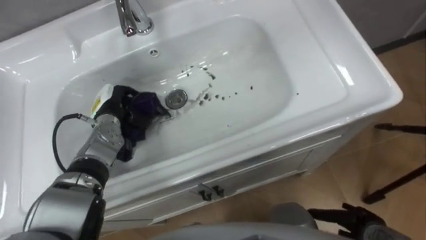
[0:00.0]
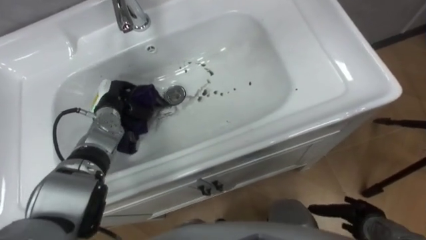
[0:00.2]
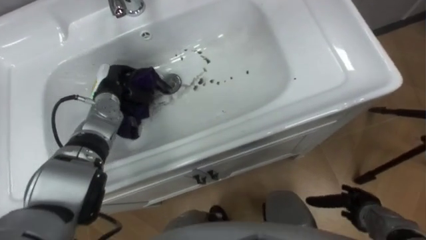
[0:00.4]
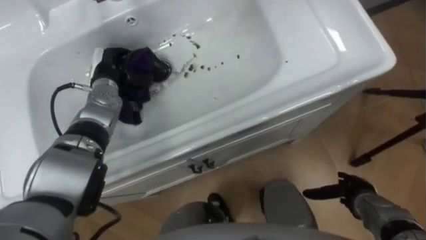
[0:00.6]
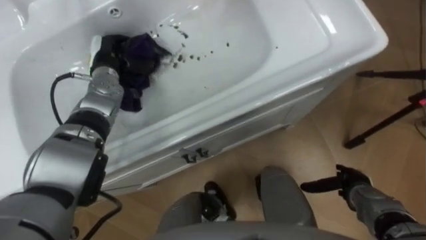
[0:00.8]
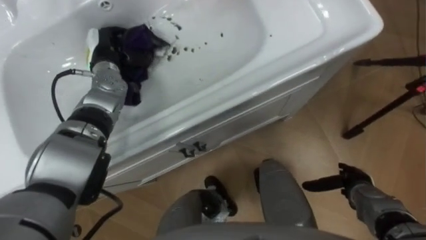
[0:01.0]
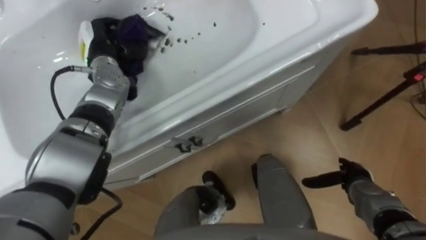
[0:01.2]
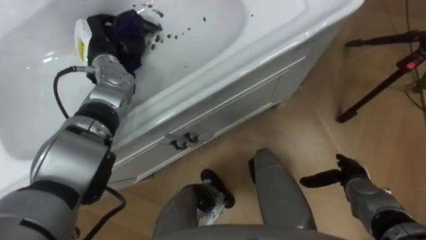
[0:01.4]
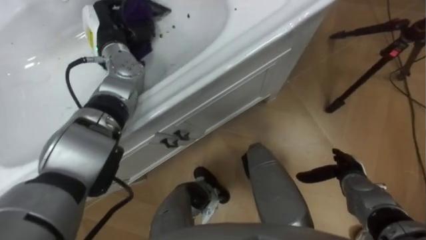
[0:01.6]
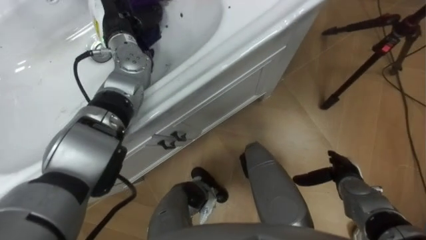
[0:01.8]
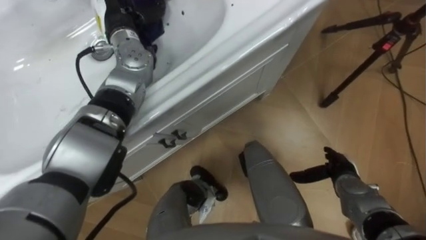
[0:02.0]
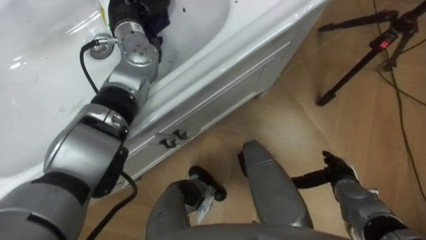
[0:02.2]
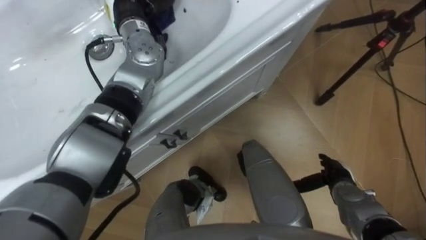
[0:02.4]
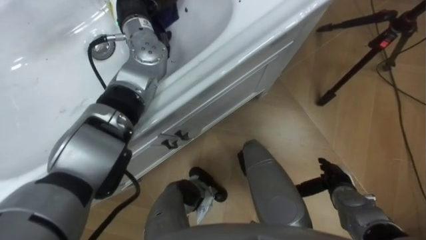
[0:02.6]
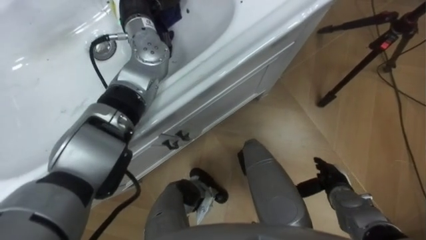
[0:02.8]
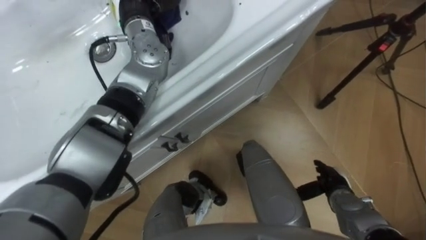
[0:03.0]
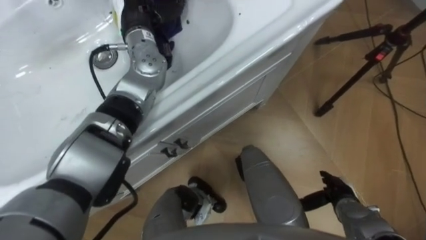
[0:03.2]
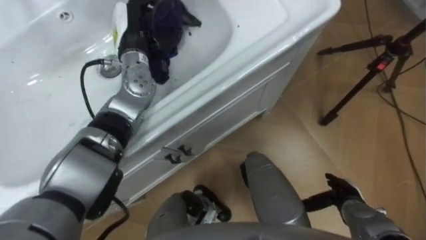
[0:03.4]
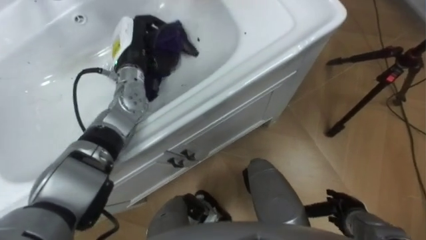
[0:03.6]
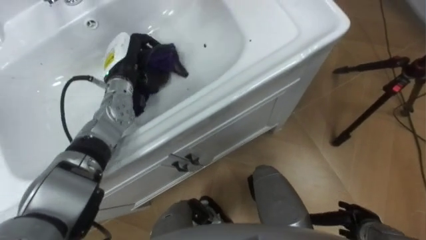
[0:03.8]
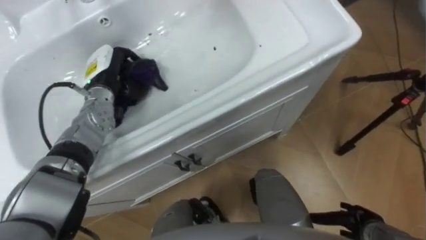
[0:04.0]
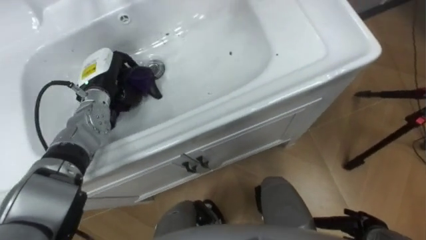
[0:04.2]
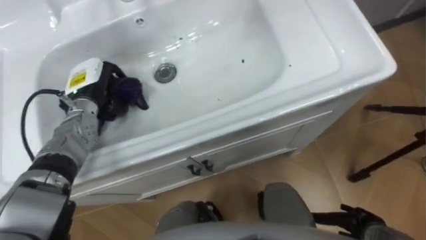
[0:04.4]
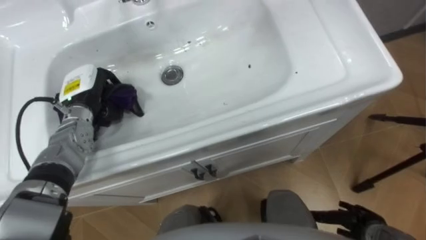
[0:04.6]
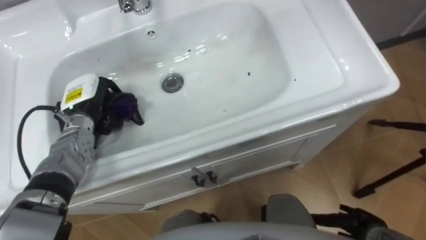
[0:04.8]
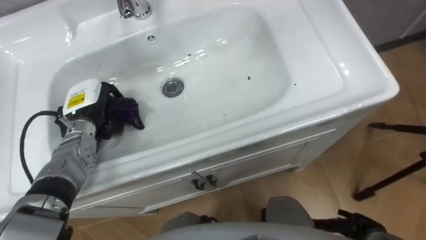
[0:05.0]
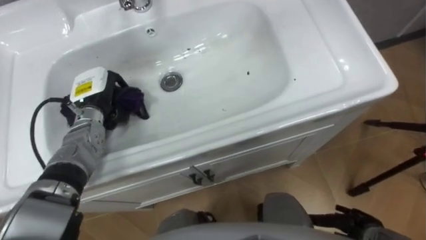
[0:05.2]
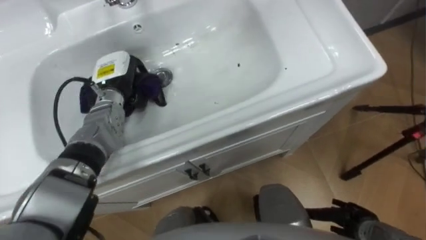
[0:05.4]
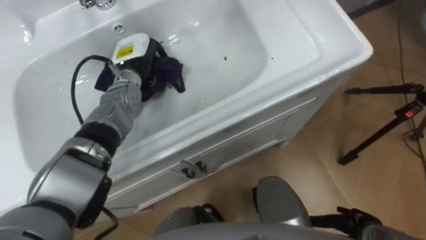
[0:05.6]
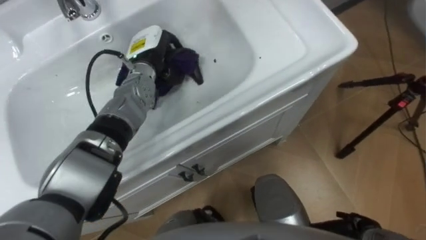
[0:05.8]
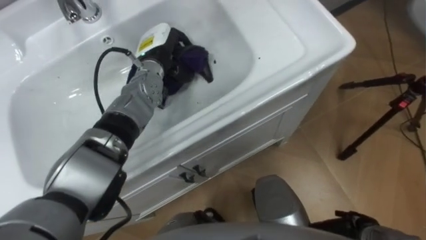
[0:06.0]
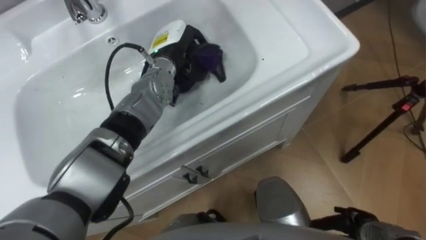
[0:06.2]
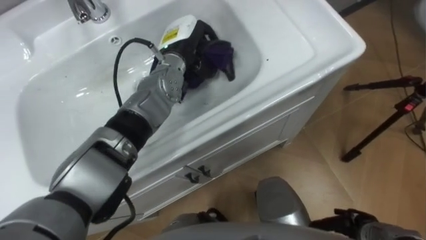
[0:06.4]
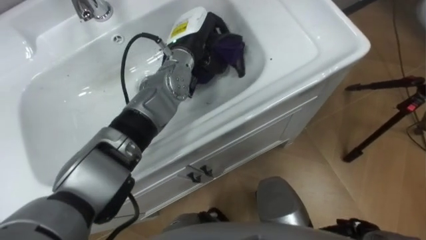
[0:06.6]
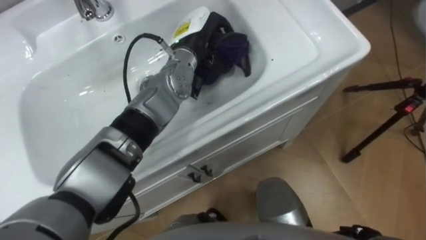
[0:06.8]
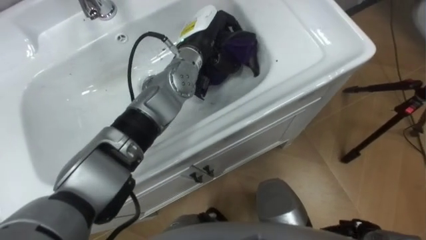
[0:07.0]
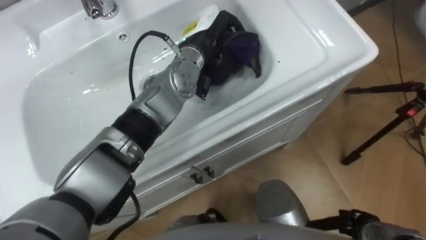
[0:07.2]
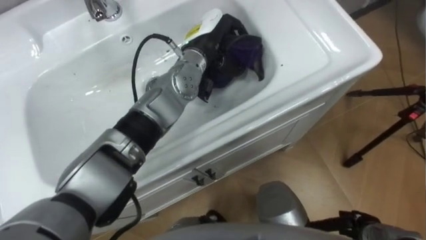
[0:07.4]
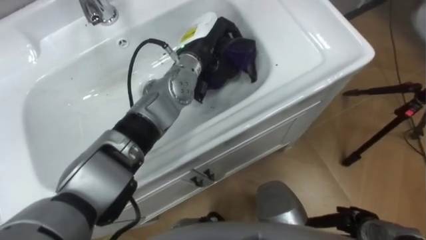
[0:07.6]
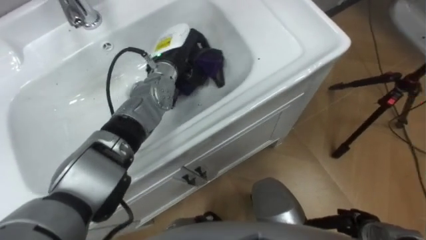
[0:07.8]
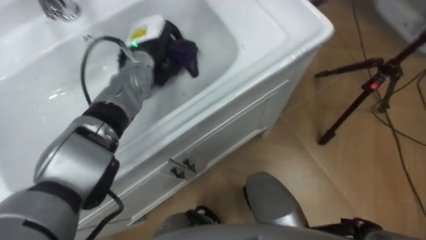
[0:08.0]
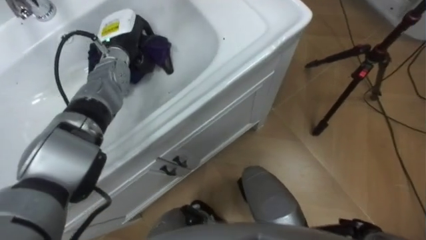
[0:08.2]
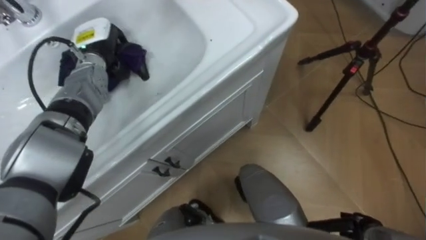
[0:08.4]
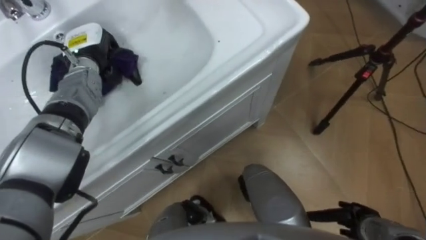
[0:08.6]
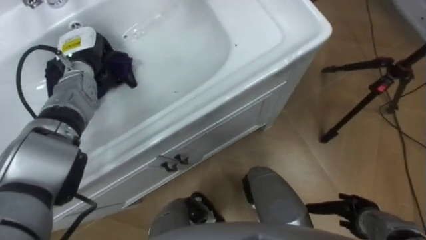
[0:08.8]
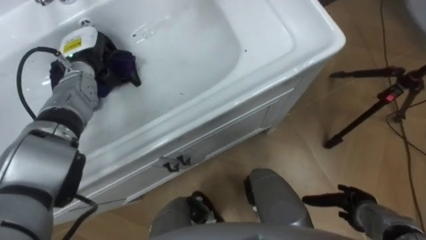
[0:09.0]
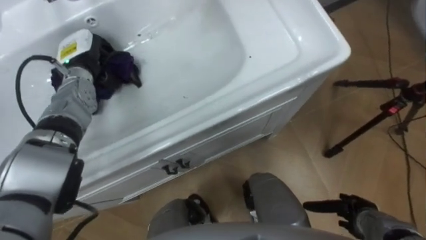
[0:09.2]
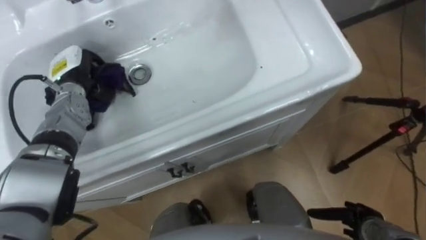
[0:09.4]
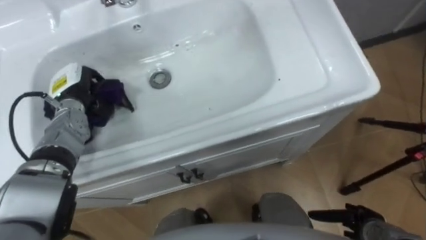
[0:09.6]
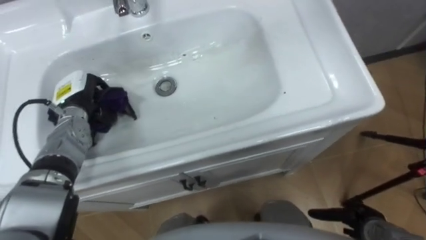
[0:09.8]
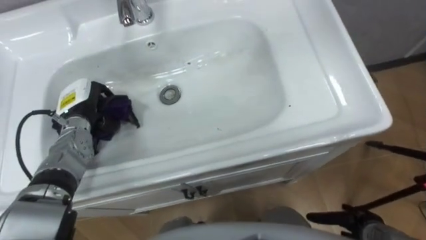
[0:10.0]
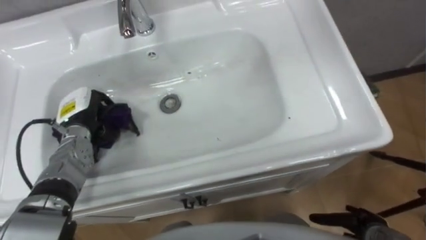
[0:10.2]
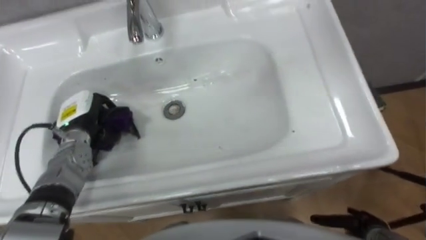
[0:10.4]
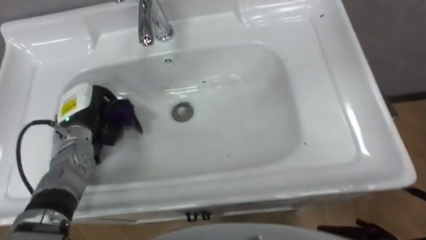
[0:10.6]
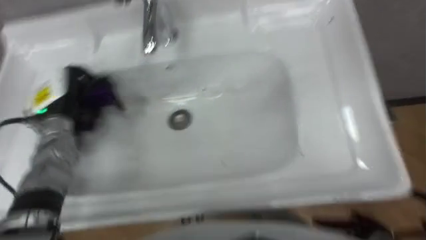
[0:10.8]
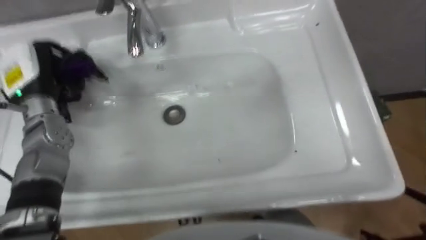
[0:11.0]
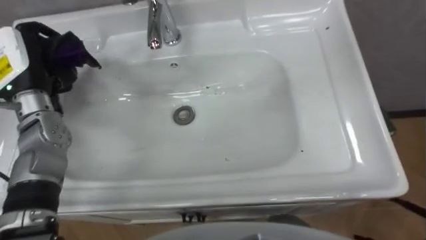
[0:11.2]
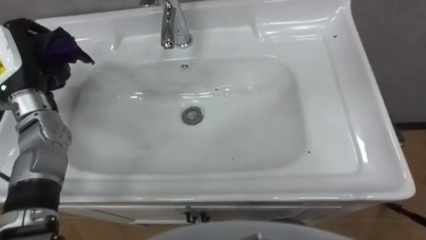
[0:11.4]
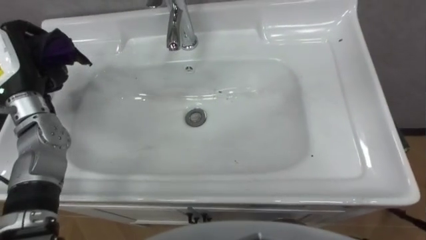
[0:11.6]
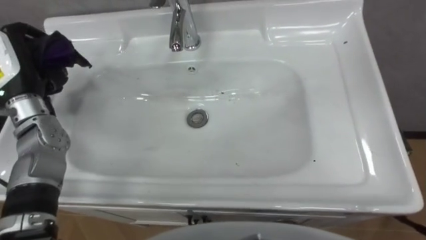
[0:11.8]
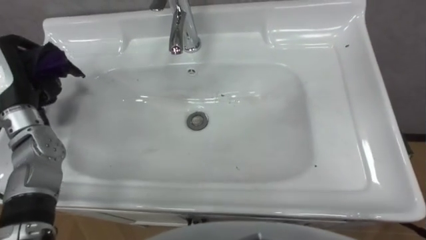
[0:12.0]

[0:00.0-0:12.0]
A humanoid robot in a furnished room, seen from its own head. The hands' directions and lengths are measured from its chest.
Task of the whole recording: Use the cloth on the right to wipe away the black stain in the sink.
0:00.0 to 0:01.6: The right hand heads forward, covering about 10 cm. Meanwhile the left hand goes about 15 cm upward and forward.
0:01.6 to 0:03.0: The left hand moves to the right and upward, roughly 10 cm.
0:03.0 to 0:04.4: The left hand heads downward, to the left and backward, covering approximately 20 cm.
0:04.4 to 0:06.0: The left hand moves to the right, some 15 cm.
0:06.0 to 0:07.6: The left hand moves to the right, approximately 10 cm.
0:07.6 to 0:09.0: The left hand moves to the left, roughly 25 cm.
0:09.0 to 0:10.4: The left hand is displaced backward and downward by about 10 cm.

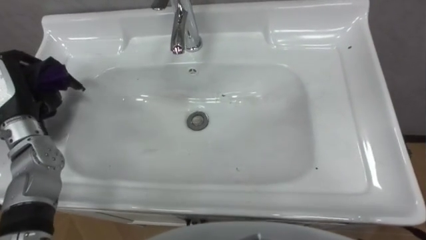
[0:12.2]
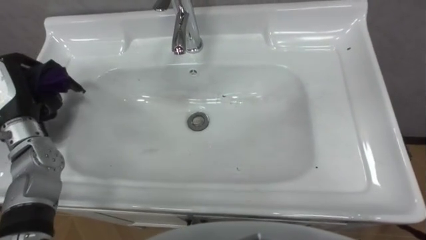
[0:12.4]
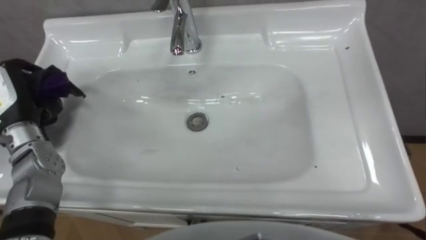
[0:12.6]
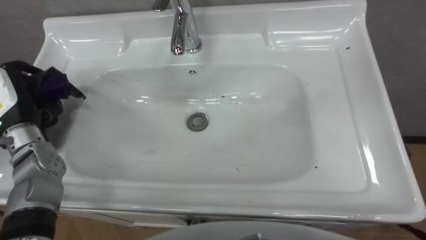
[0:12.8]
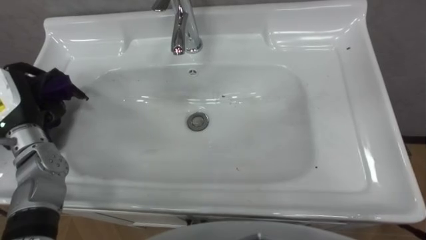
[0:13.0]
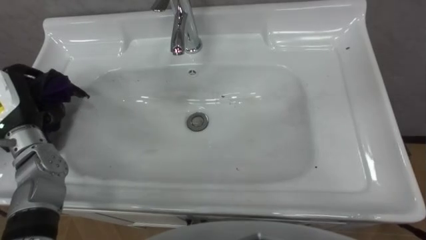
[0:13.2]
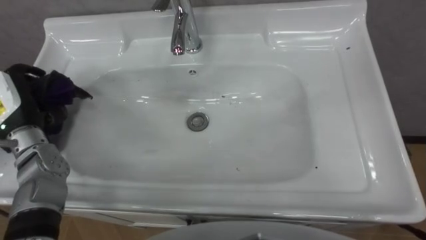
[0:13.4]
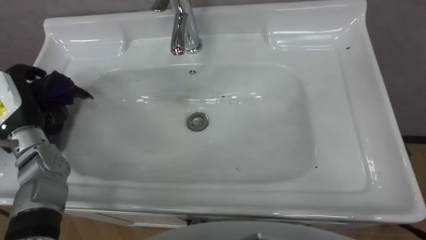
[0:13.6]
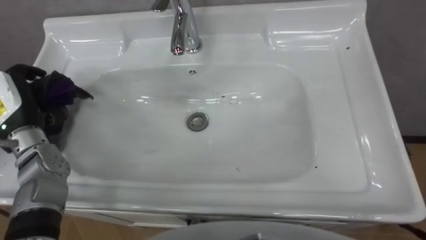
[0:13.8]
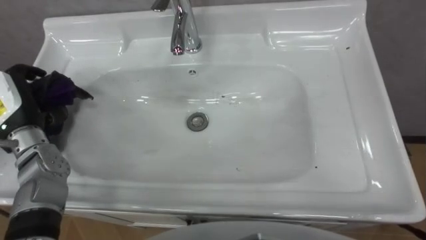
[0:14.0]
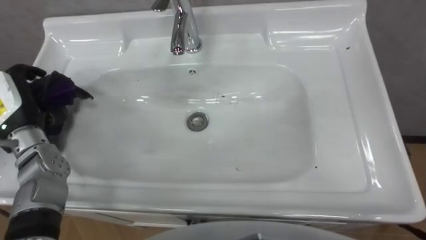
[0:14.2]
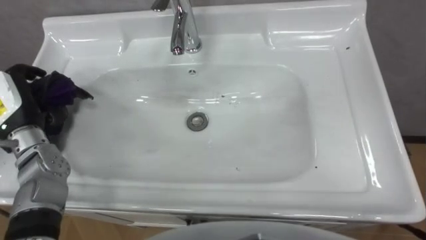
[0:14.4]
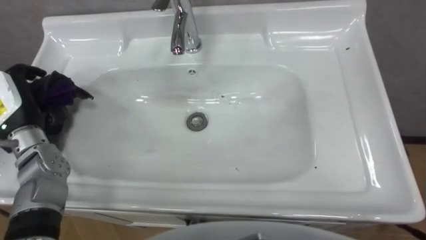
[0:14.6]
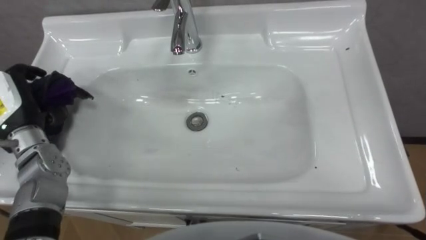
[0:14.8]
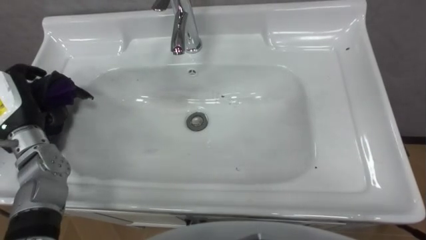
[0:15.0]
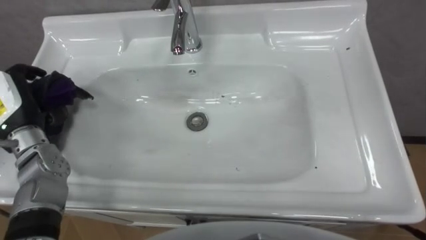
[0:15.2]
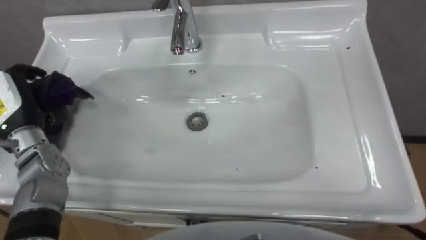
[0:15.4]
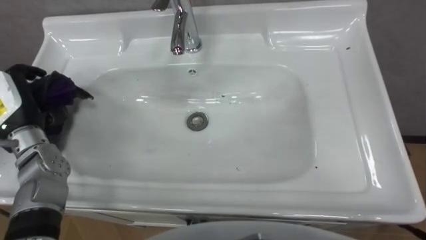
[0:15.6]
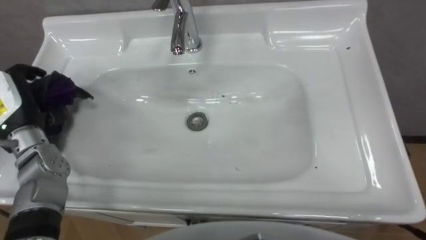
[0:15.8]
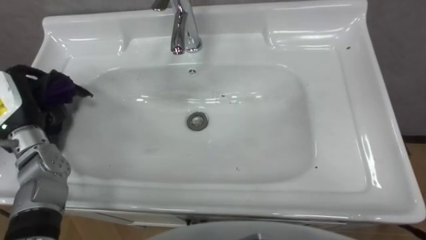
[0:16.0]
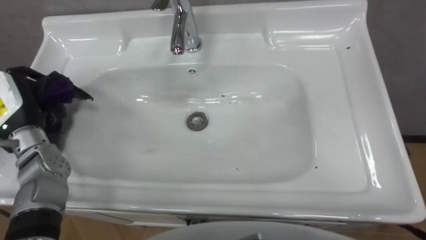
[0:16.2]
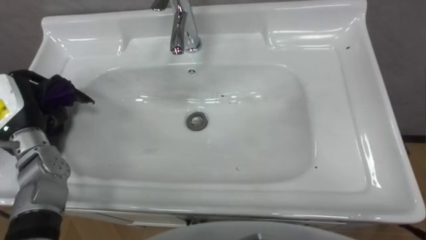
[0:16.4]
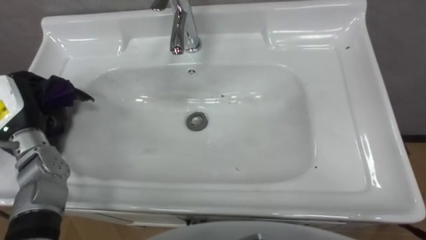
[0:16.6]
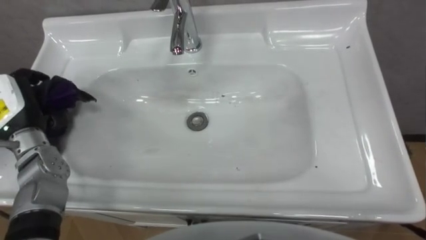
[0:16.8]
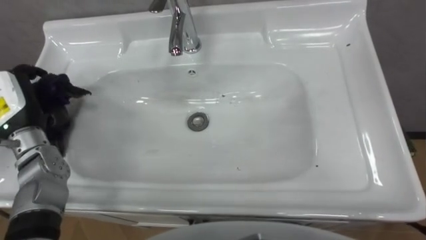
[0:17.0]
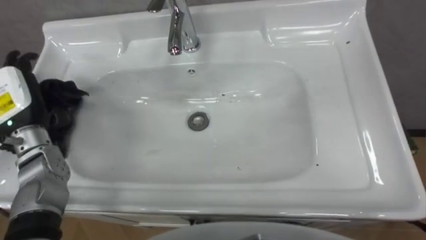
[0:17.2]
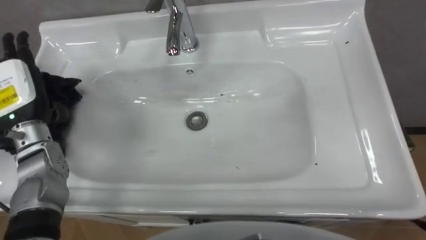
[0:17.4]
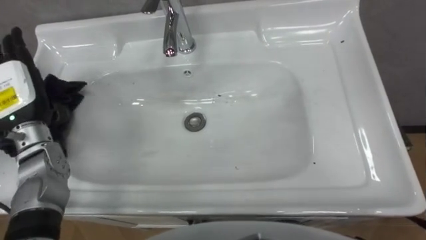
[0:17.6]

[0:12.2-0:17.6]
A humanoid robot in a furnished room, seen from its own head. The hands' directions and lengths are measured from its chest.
Task of the whole recording: Use the cloth on the right to wipe away the black stain in the sink.
0:16.2 to 0:17.6: The left hand opens.
